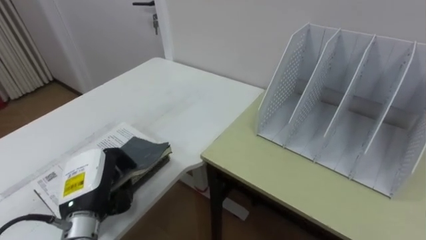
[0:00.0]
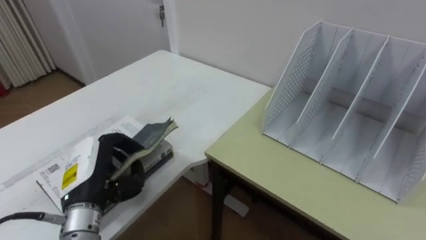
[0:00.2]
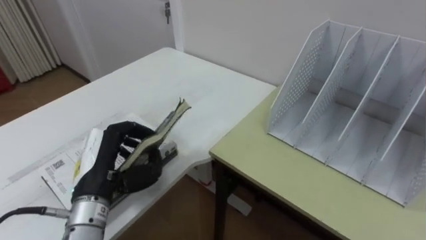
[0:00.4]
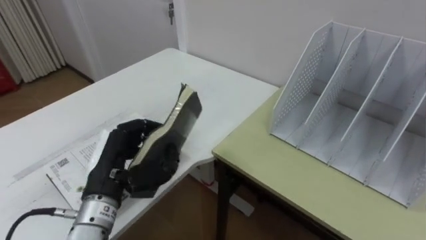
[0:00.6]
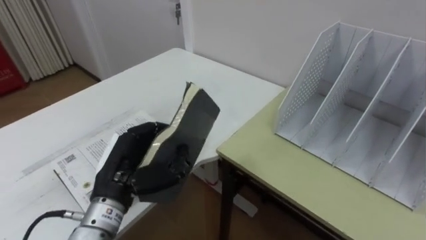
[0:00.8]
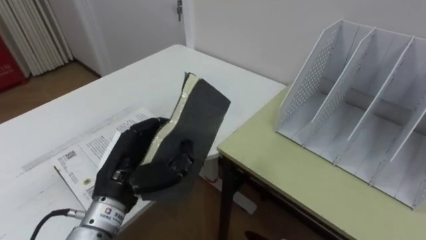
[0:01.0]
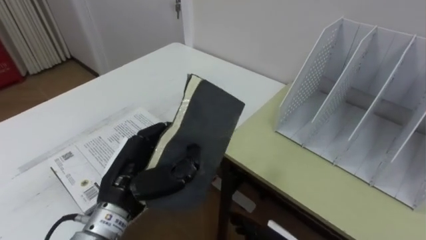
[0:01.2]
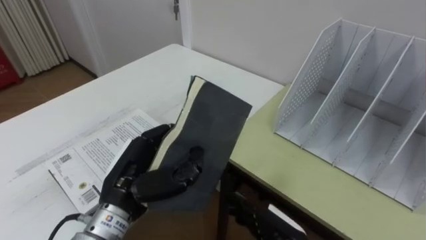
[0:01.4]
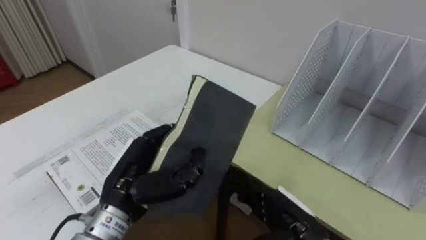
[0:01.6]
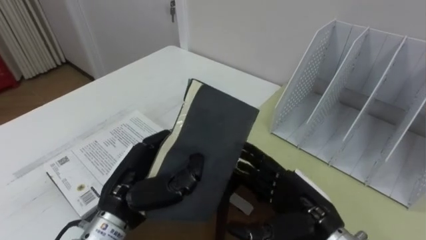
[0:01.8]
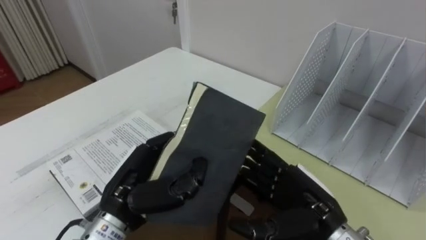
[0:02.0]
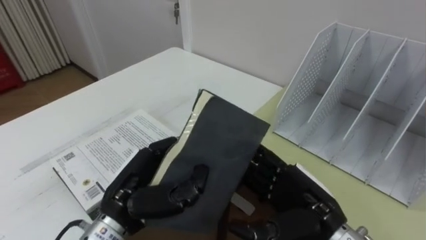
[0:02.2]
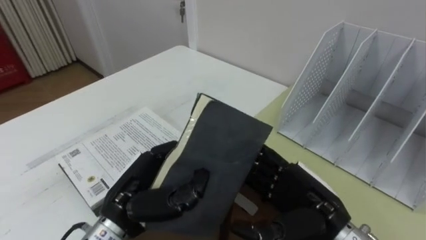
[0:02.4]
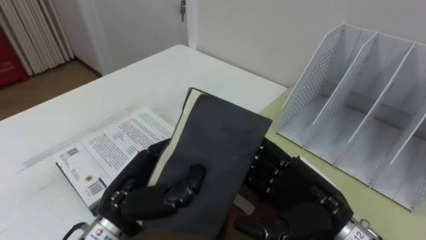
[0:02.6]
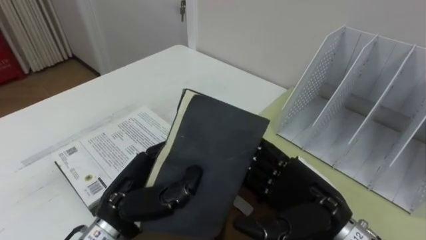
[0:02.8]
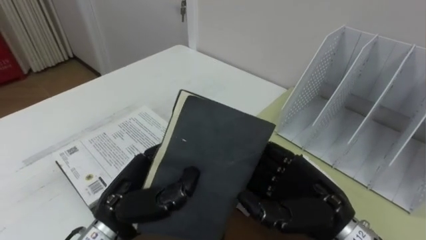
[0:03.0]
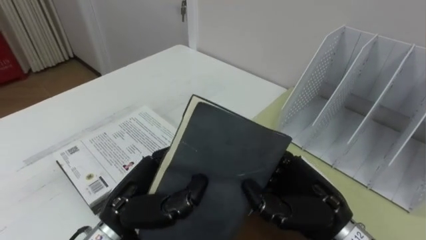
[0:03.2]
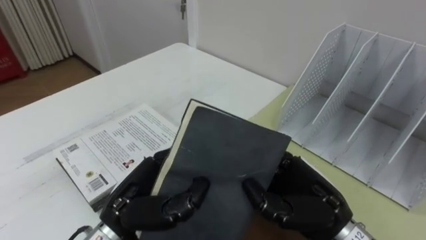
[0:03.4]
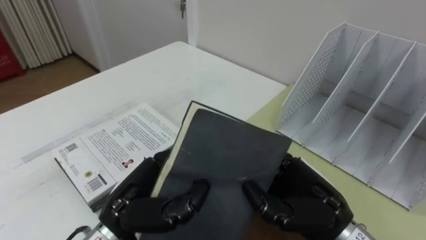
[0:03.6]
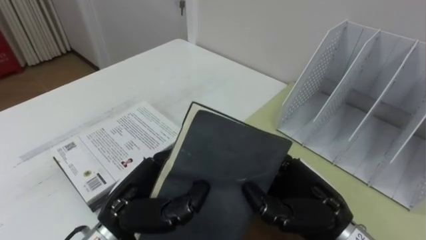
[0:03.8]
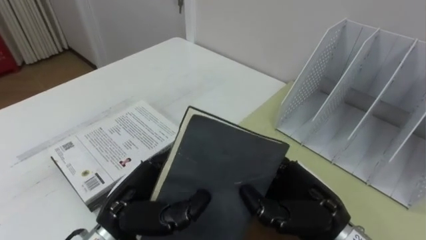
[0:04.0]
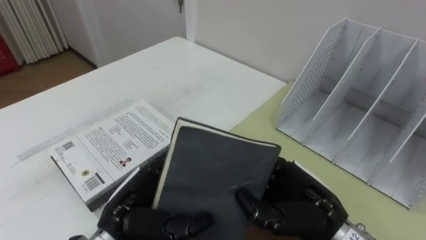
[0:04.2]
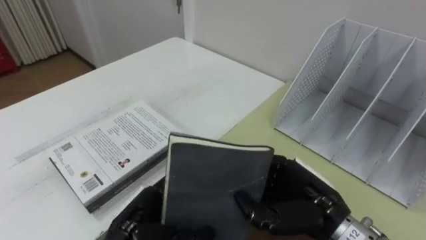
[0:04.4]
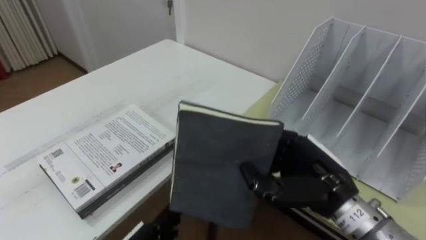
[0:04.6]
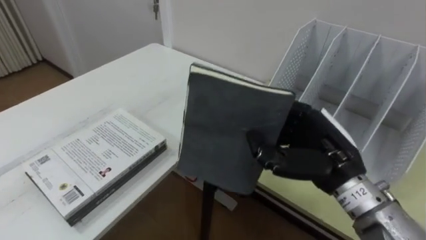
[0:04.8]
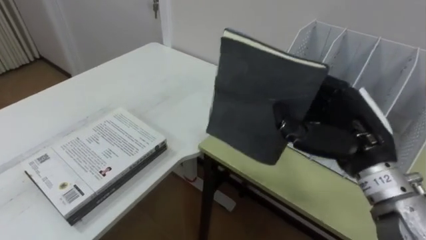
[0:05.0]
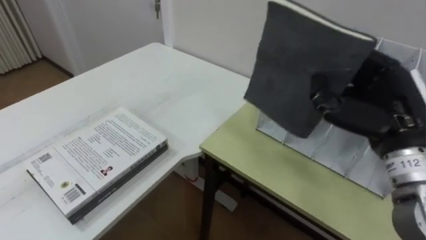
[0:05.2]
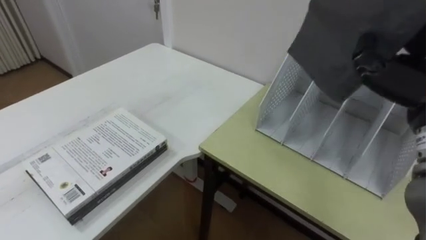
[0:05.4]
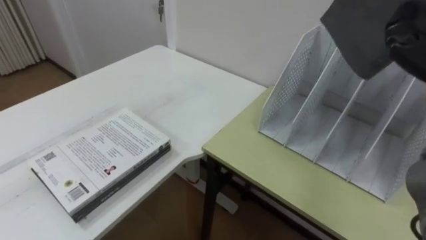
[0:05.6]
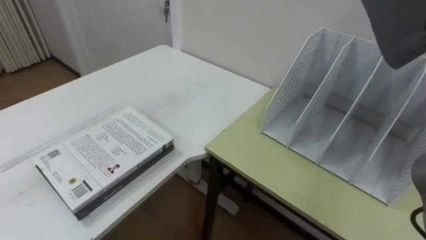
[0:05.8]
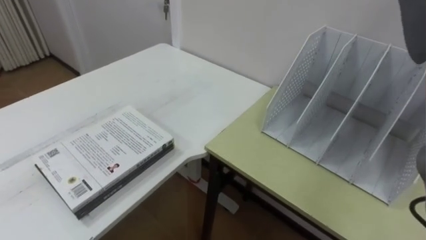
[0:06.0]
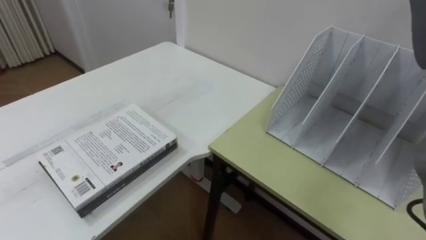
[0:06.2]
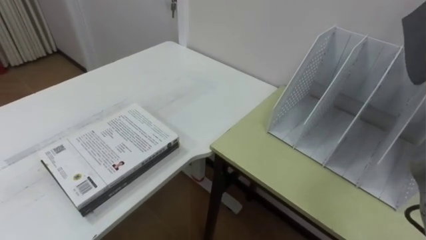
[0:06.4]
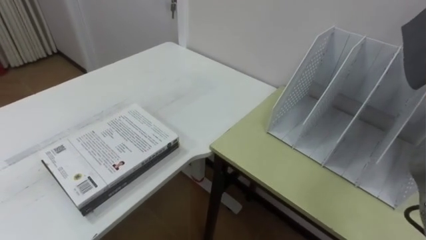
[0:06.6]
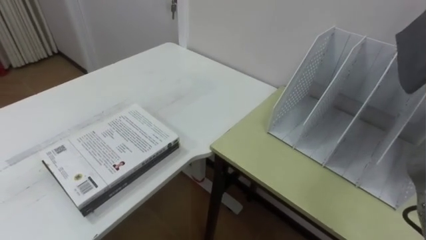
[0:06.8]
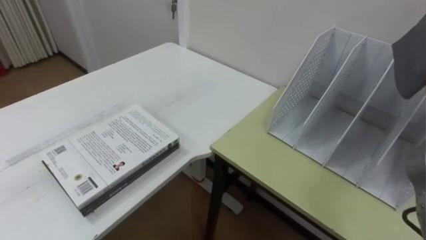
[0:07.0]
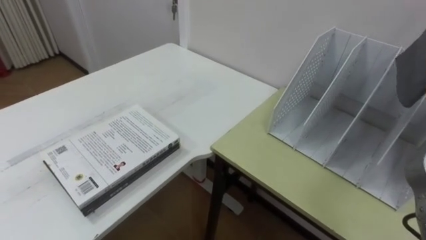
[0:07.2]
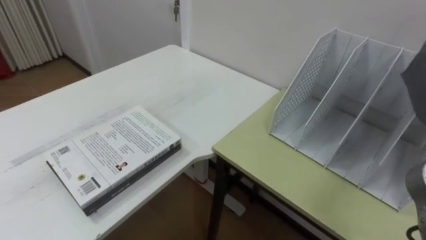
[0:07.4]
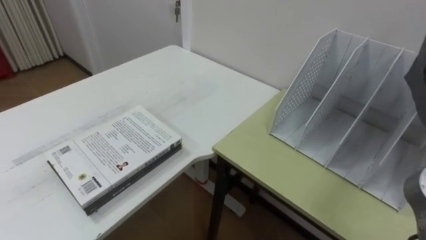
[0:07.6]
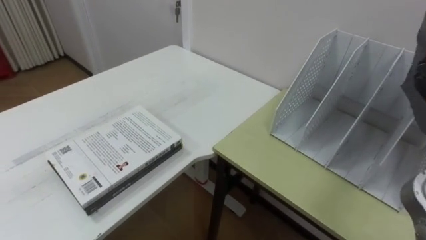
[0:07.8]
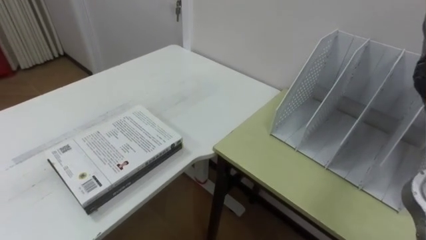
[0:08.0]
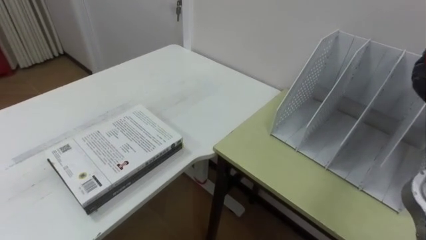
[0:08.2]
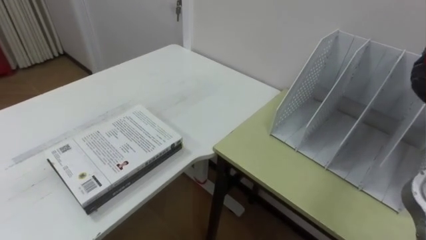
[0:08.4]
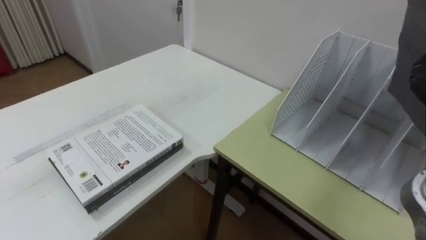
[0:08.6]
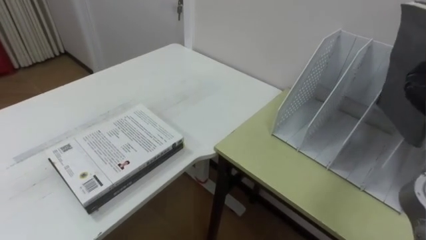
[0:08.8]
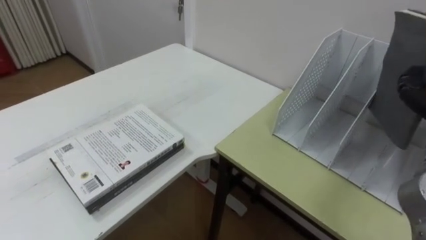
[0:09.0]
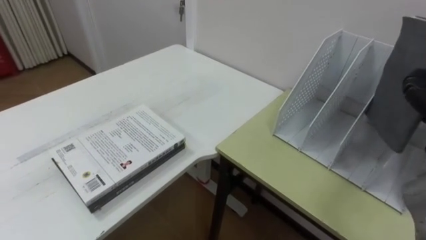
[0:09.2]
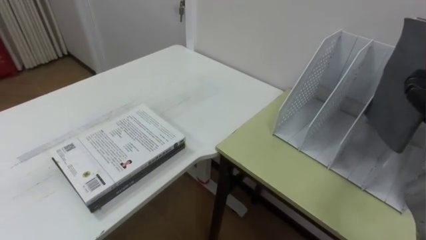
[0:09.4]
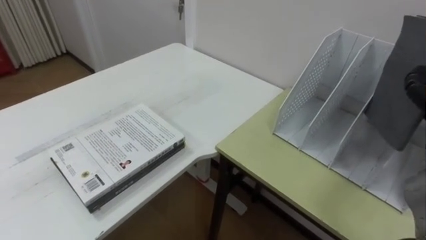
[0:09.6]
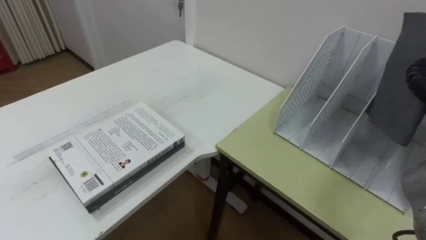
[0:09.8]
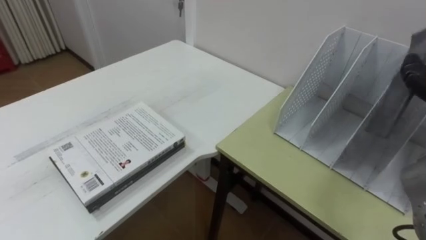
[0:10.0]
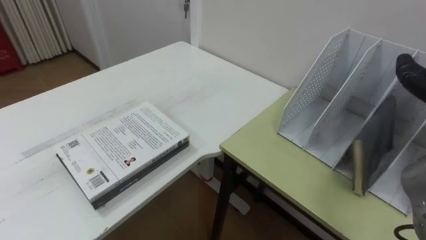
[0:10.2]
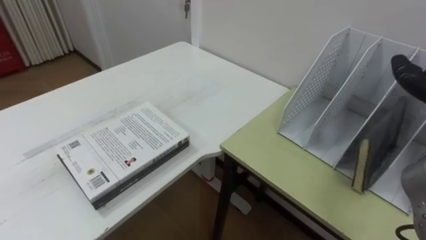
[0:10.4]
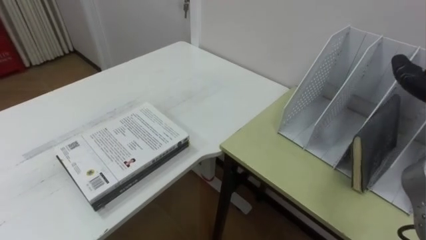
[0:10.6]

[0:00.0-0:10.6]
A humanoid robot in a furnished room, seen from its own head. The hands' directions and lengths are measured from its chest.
Task of the whole recording: Put the books on the table onto the bookshelf.
0.0 to 1.6 s: The left hand shifts roughly 10 cm to the right and upward.
1.6 to 3.0 s: The right hand goes about 5 cm upward.
3.0 to 4.6 s: The right hand closes; the left hand travels downward by approximately 10 cm, and opens up.

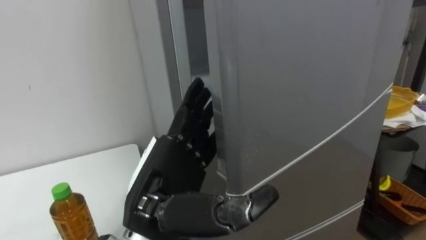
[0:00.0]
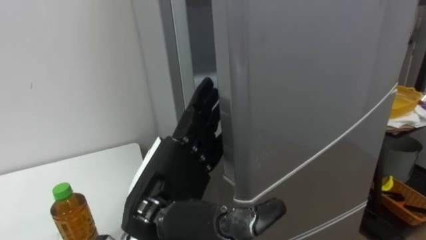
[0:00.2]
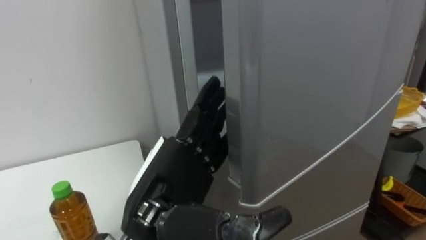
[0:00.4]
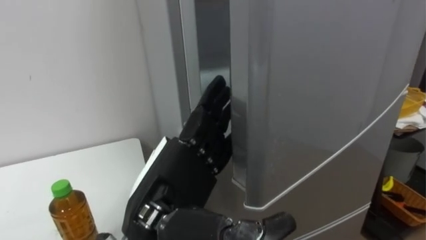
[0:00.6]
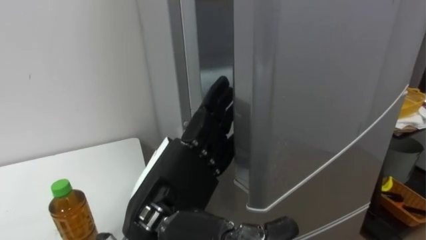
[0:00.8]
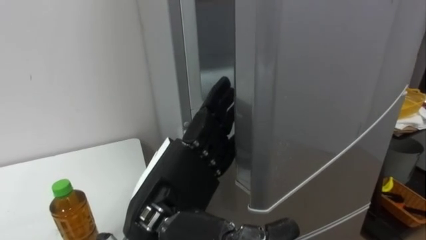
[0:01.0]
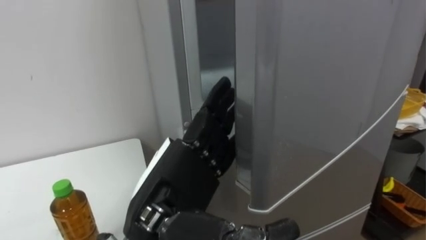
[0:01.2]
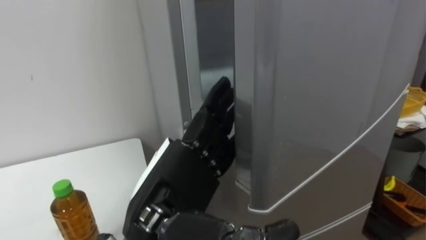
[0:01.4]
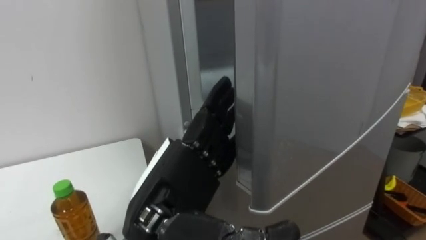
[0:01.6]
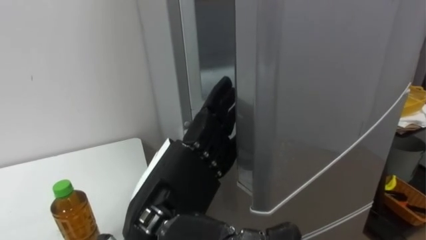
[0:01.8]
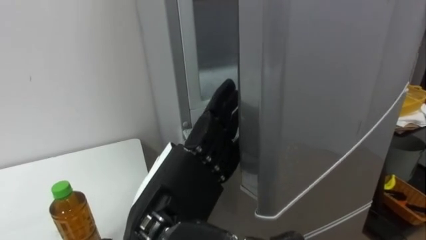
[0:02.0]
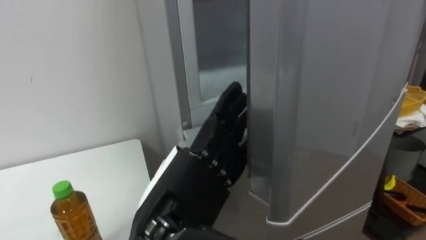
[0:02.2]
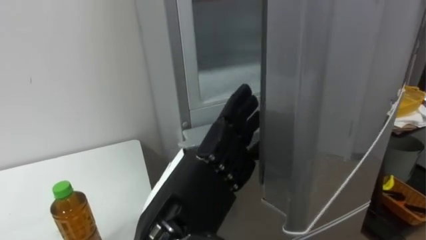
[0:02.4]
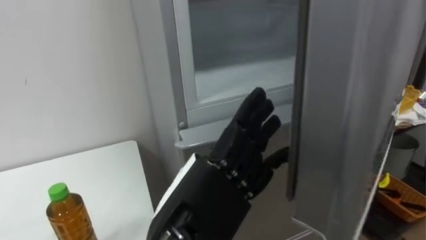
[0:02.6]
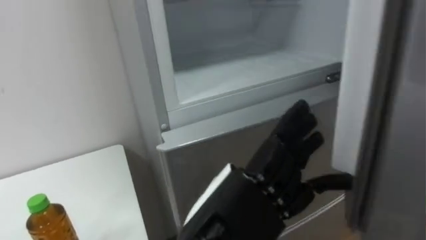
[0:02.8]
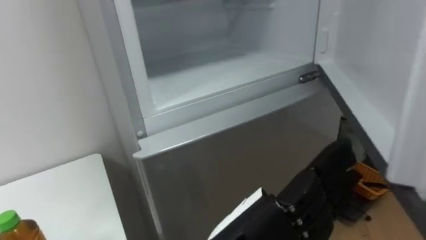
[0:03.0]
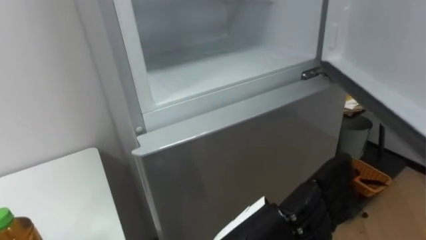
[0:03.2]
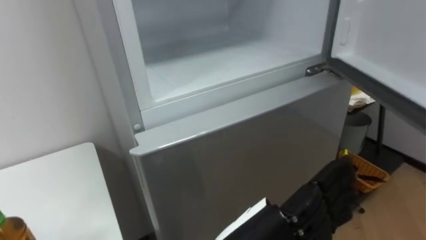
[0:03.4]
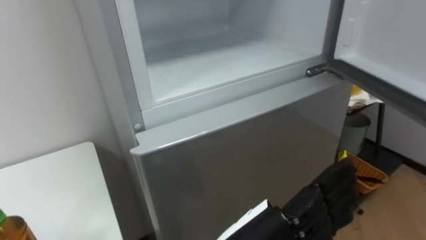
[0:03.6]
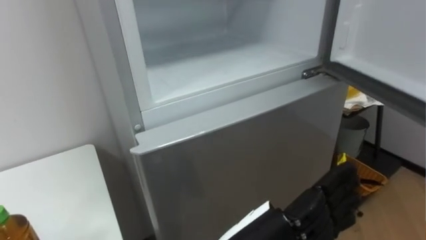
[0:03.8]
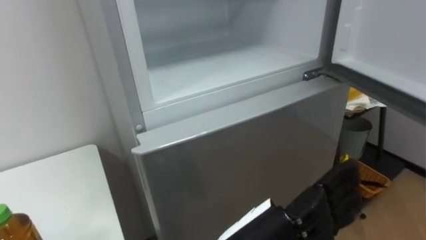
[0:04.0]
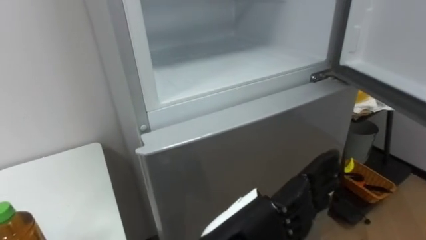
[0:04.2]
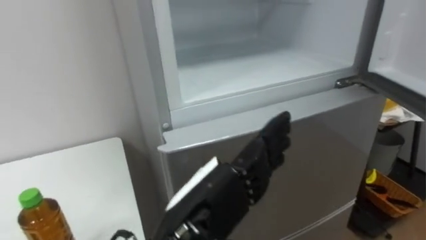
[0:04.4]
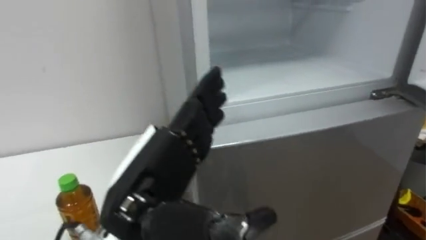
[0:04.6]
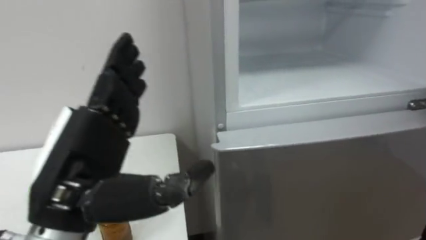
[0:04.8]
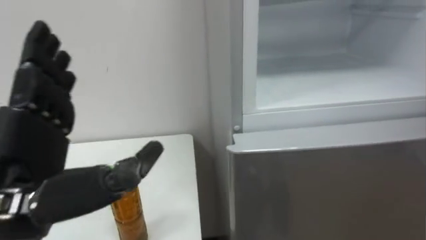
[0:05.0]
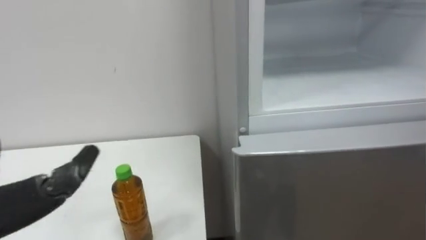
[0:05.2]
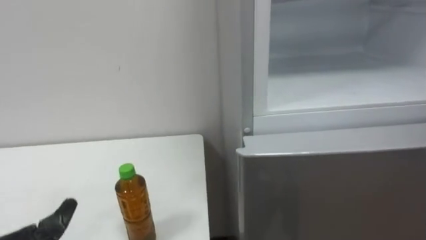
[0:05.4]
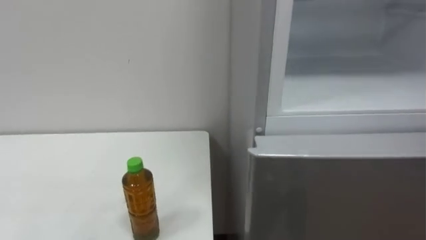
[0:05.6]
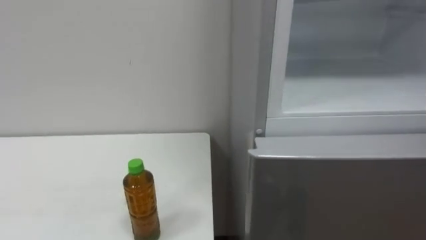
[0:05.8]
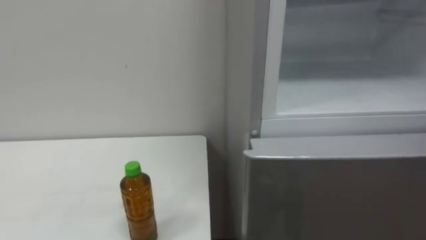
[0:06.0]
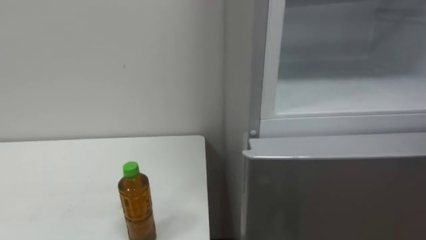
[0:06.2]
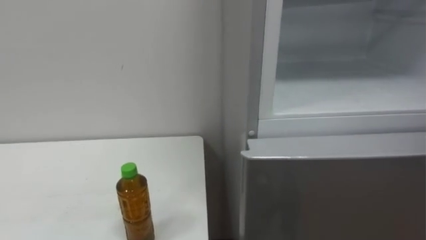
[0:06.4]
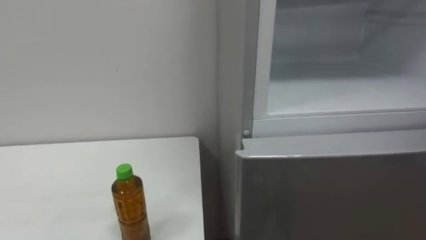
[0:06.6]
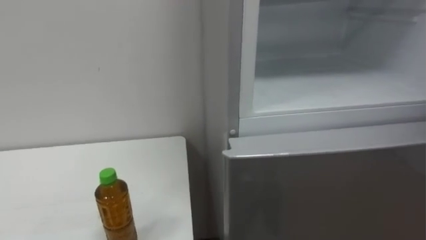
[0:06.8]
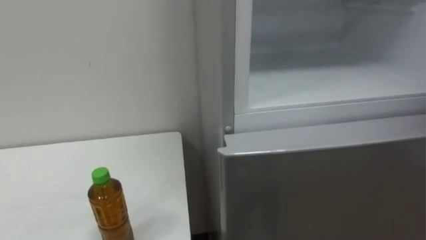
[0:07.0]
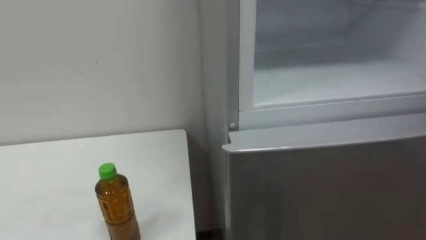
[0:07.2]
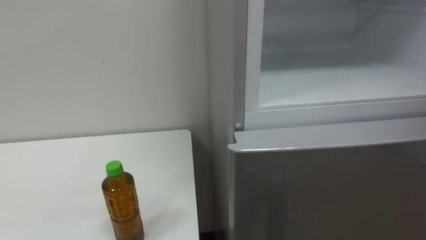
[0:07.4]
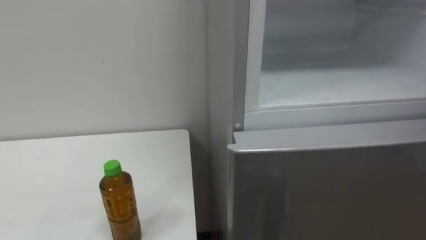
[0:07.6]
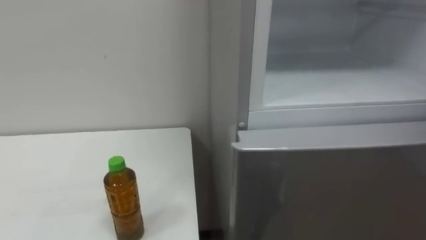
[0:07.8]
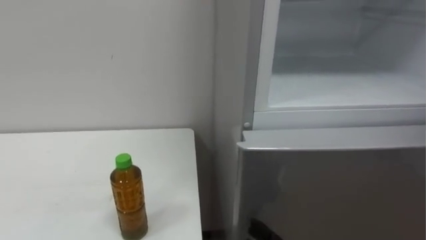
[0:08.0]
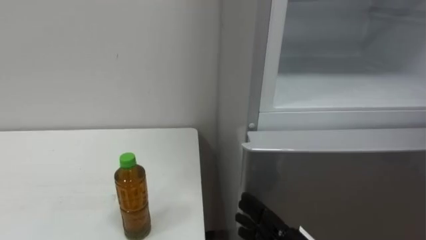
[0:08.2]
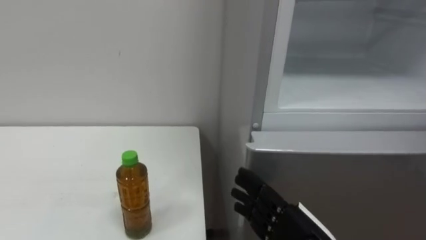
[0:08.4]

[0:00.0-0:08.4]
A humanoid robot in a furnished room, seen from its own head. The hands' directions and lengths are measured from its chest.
Task of the whole recording: Open the upper refrigerator door, put the drink from the table into the refrigerator, and then close the refrigerator door.
1.4 to 2.8 s: The left hand ends up some 5 cm from where it was.
